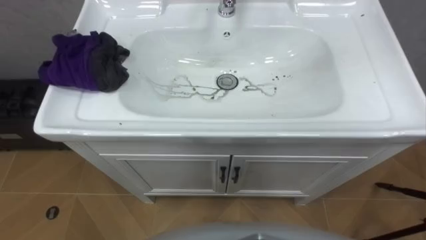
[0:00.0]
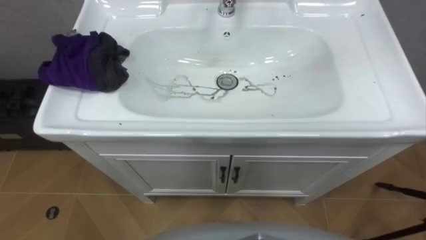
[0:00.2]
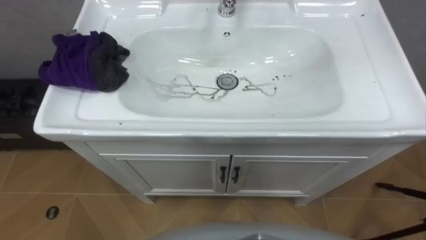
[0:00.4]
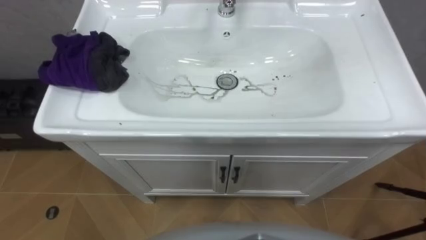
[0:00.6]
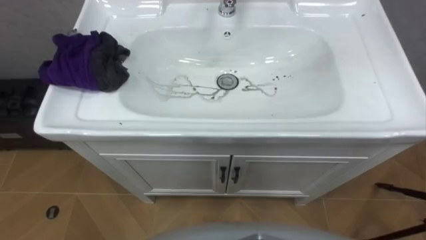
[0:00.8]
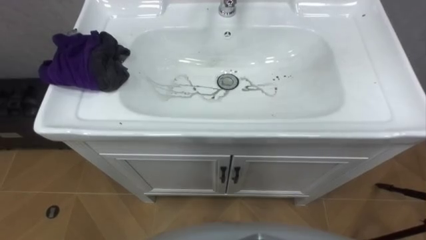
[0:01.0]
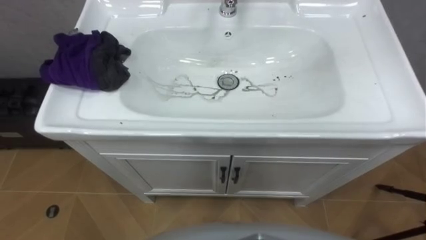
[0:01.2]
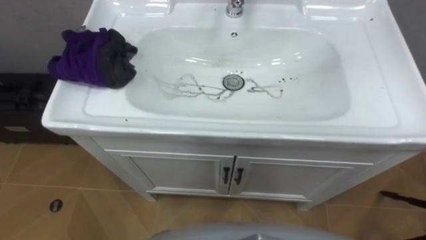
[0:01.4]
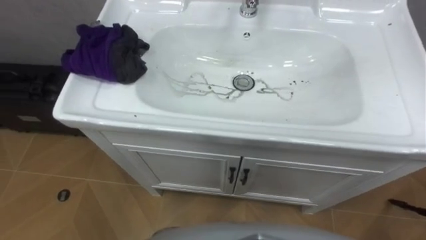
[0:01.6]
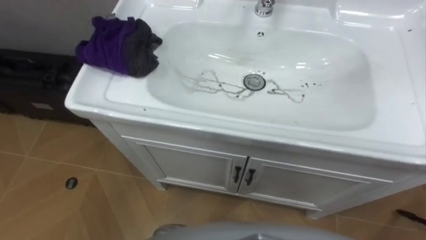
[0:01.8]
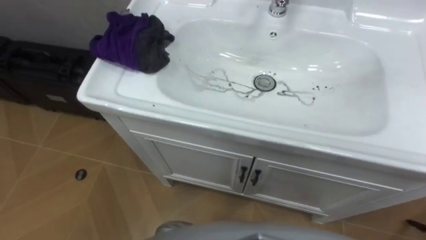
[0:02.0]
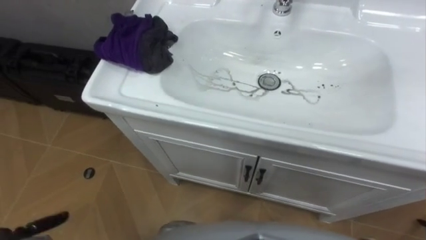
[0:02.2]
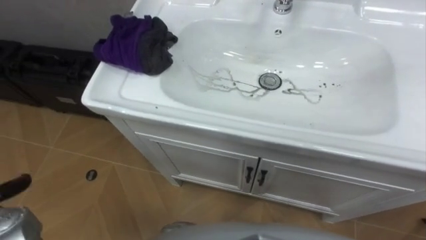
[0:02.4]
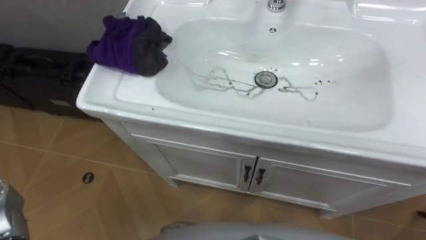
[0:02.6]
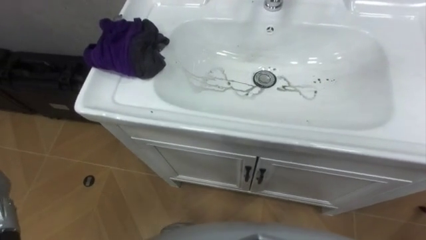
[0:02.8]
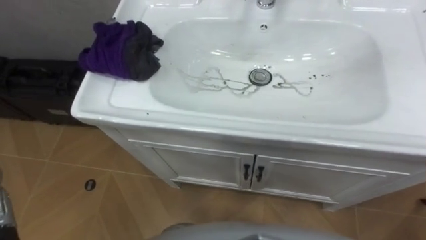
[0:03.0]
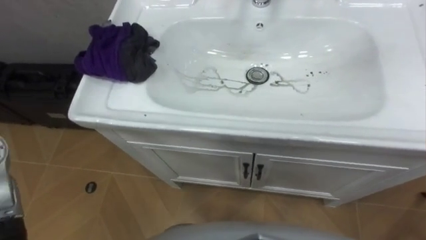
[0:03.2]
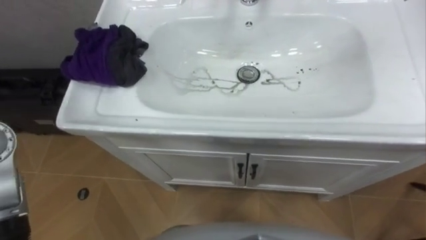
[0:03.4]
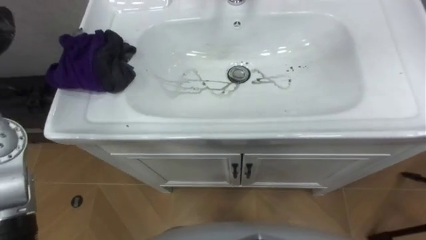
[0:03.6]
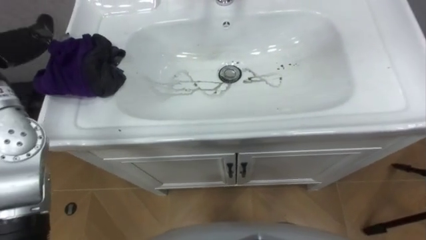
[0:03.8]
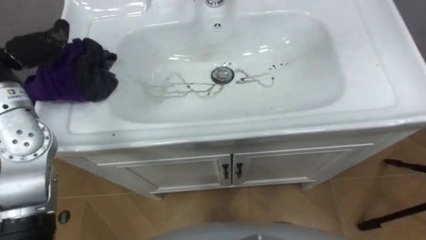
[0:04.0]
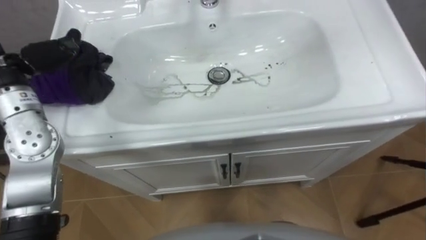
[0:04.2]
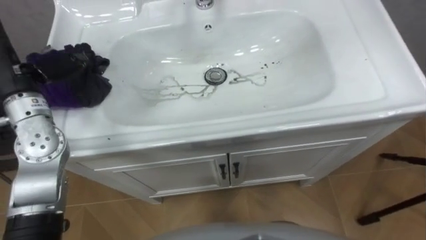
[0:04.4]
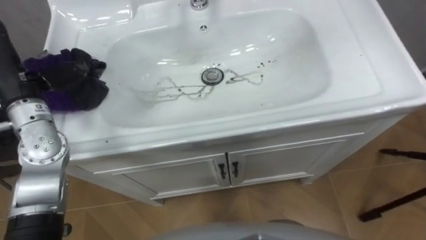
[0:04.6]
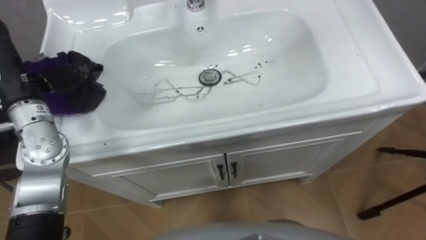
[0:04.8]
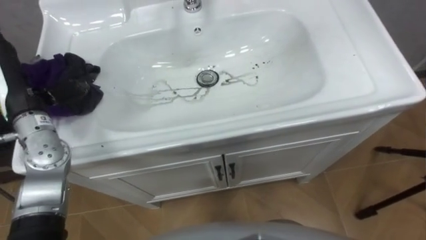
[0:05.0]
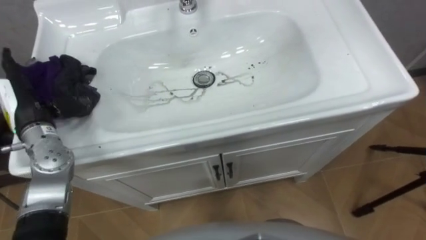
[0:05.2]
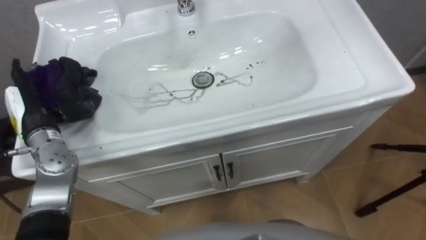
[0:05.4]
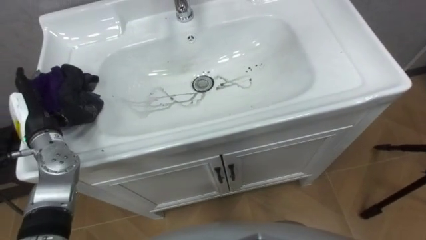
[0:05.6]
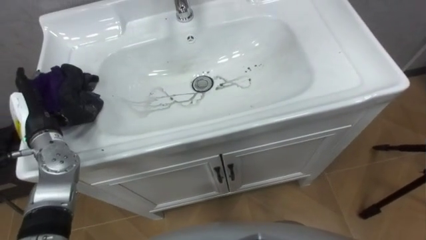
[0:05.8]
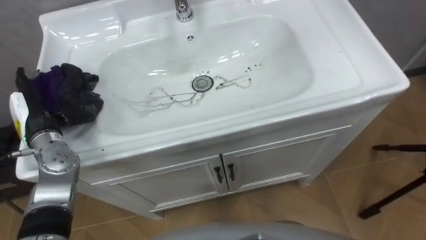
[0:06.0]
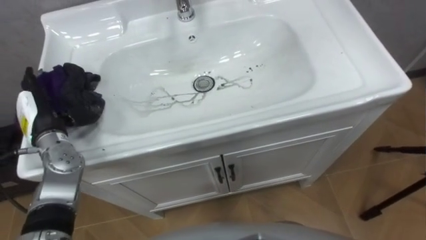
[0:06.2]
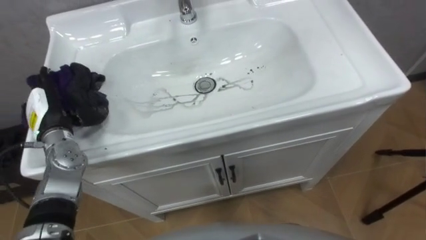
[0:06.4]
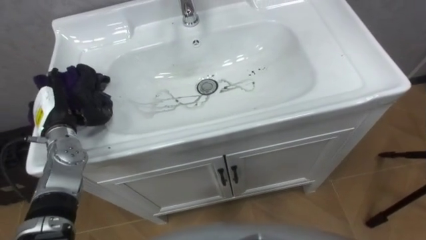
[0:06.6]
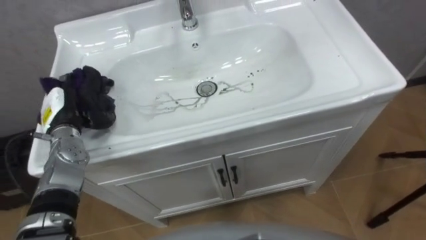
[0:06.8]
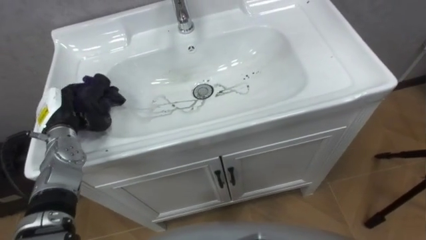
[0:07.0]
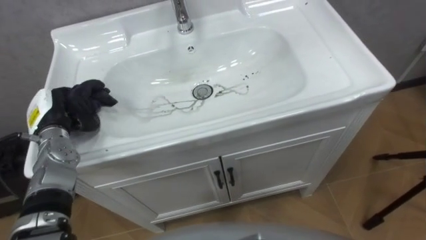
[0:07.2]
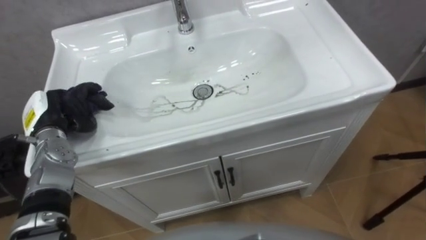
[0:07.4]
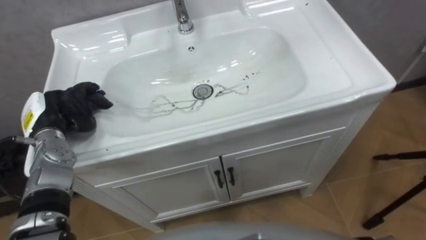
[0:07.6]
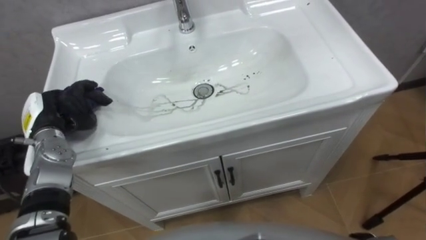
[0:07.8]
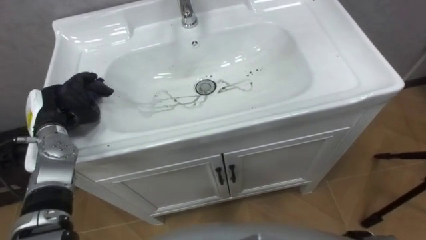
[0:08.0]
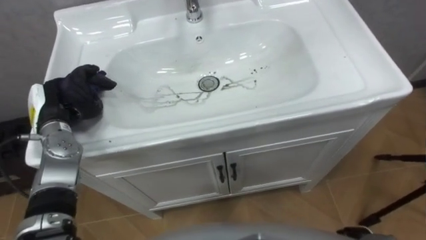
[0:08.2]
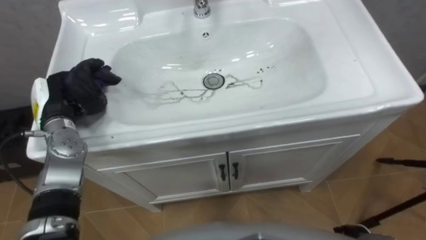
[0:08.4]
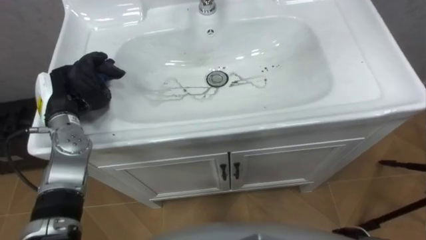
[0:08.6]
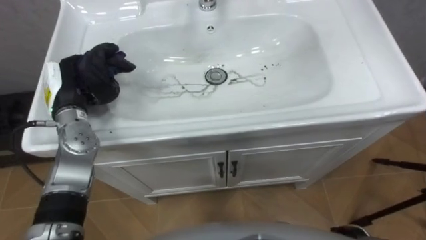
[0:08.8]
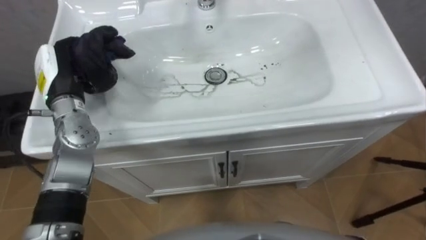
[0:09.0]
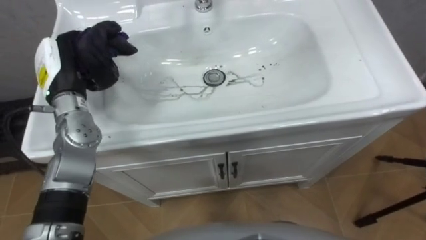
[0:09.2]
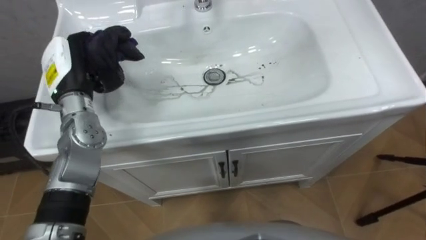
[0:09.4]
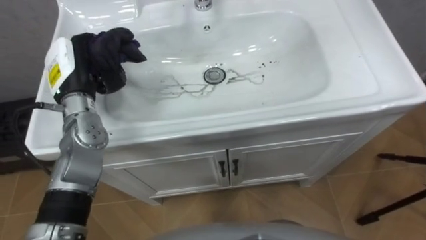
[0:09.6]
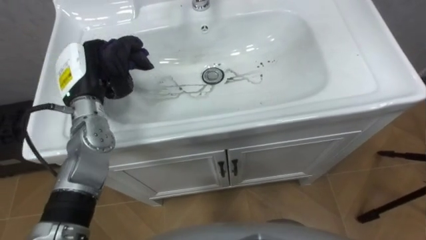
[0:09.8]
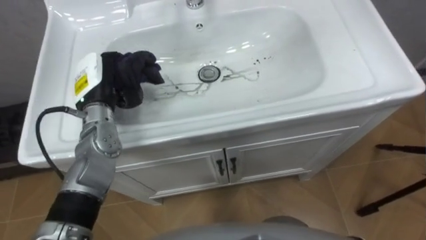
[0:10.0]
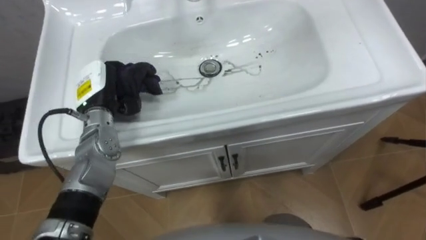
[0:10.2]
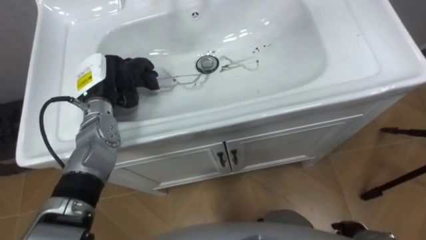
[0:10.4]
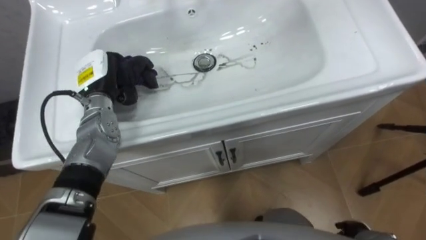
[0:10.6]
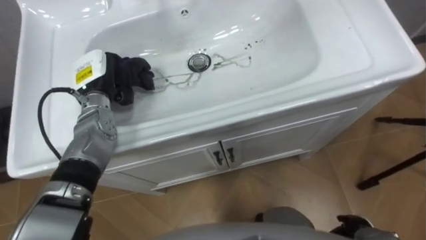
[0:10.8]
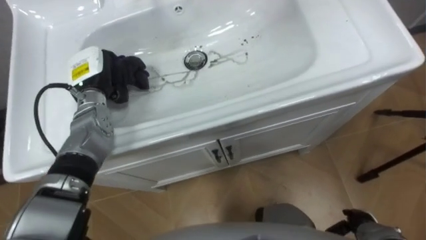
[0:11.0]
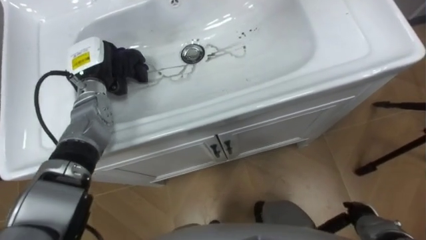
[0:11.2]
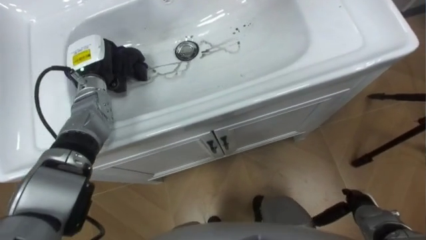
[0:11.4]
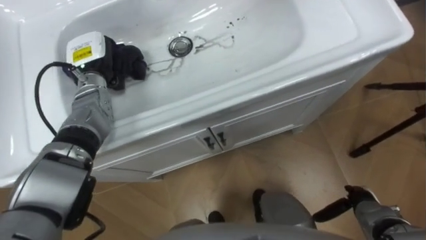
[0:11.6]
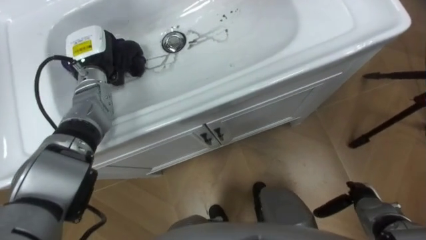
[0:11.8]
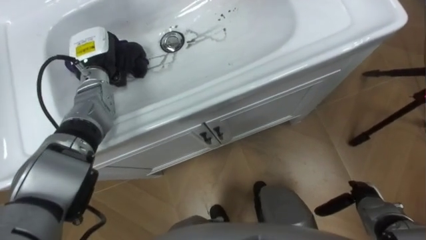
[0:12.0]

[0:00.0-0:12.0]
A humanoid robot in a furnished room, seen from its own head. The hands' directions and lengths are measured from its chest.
Task of the whole recording: Use the cloth on the right to wipe away the black stain in the sink.
0:04.4 to 0:06.0: The left hand shifts roughly 15 cm downward.
0:06.0 to 0:07.6: The left hand closes up.
0:07.6 to 0:09.0: The left hand moves upward and to the right, approximately 10 cm.
0:09.0 to 0:10.4: The left hand shifts by approximately 5 cm.
0:10.4 to 0:12.0: The left hand moves forward, some 5 cm.

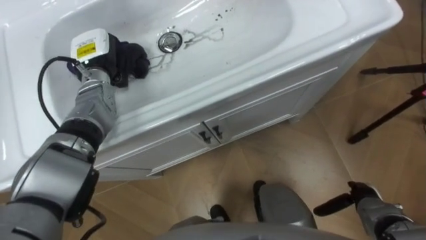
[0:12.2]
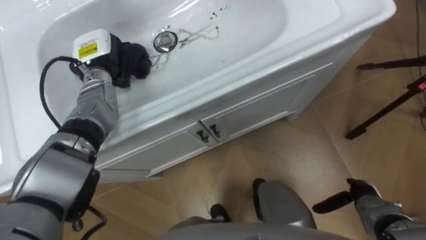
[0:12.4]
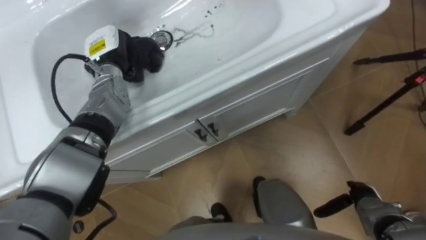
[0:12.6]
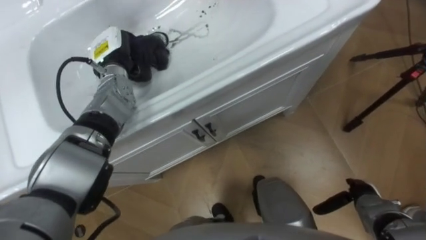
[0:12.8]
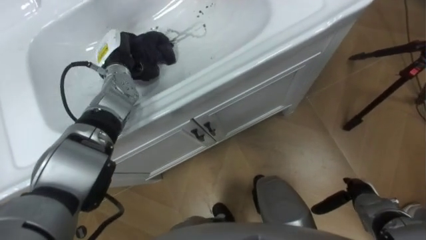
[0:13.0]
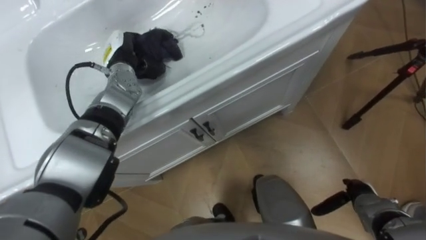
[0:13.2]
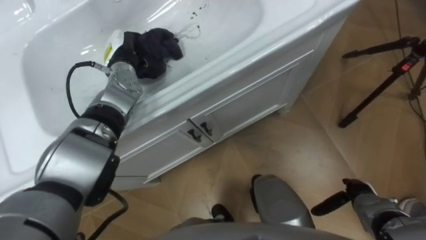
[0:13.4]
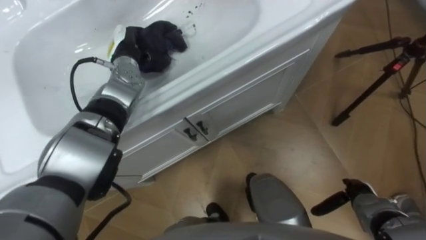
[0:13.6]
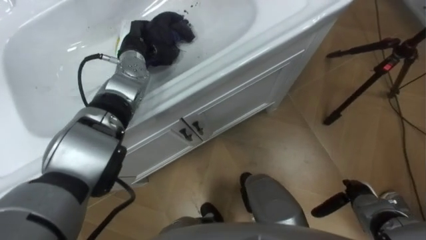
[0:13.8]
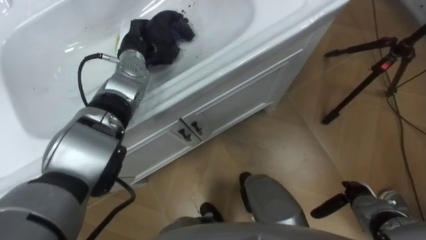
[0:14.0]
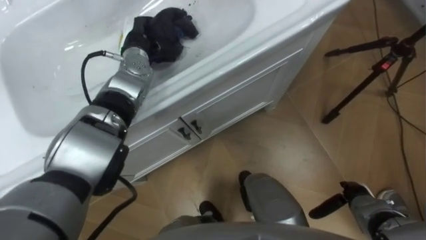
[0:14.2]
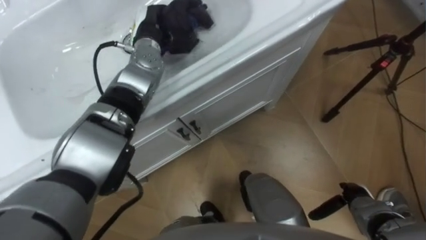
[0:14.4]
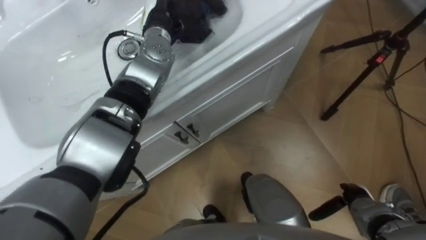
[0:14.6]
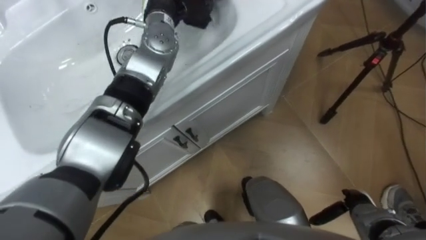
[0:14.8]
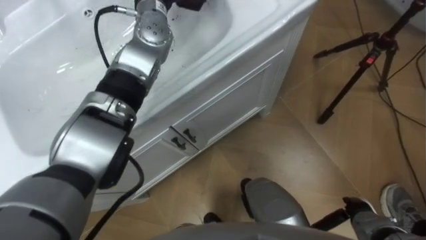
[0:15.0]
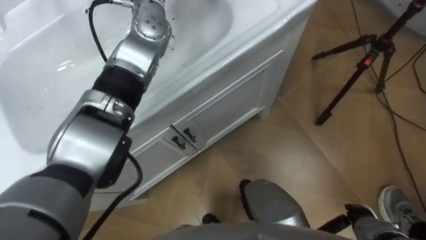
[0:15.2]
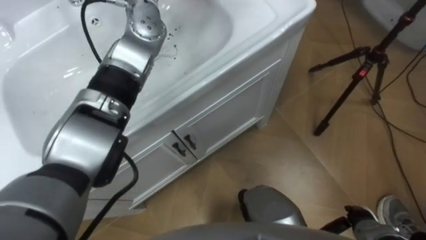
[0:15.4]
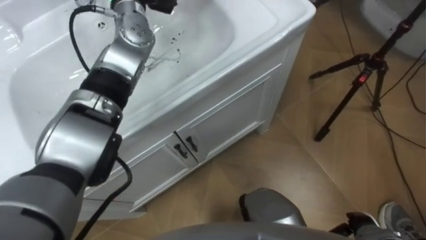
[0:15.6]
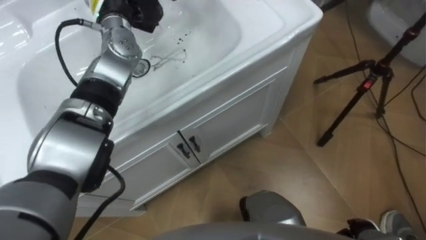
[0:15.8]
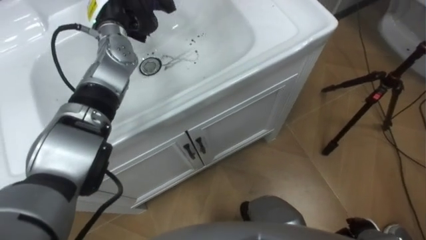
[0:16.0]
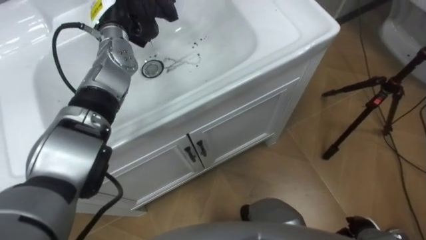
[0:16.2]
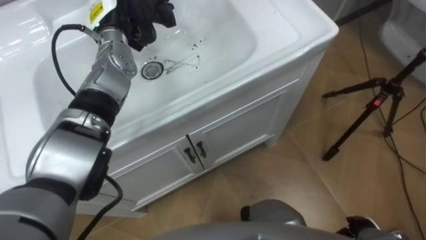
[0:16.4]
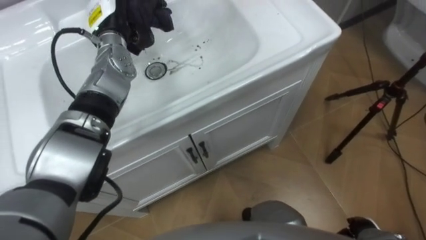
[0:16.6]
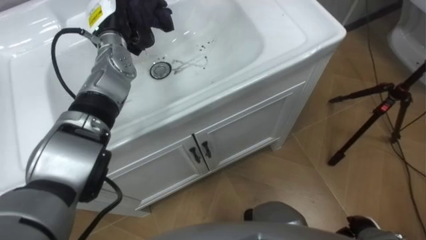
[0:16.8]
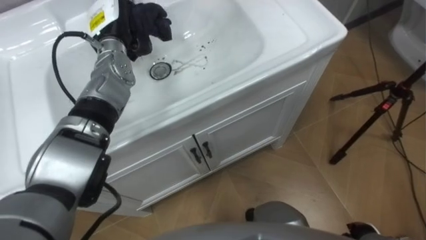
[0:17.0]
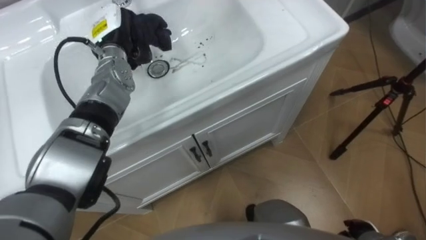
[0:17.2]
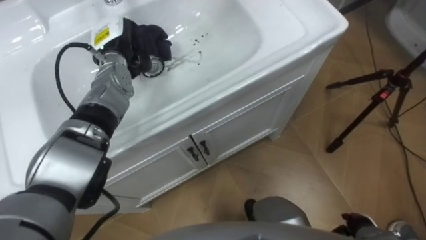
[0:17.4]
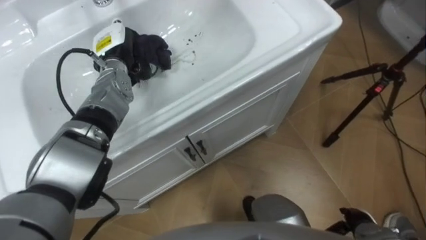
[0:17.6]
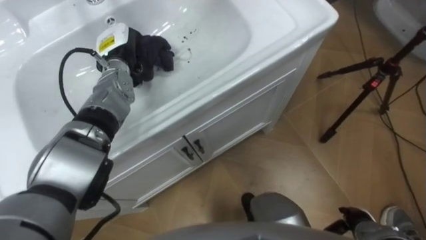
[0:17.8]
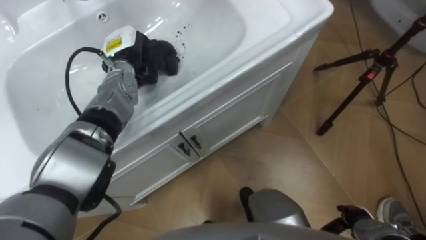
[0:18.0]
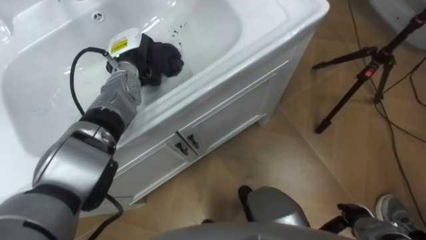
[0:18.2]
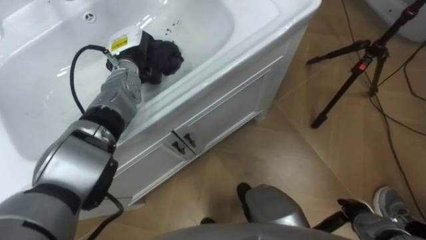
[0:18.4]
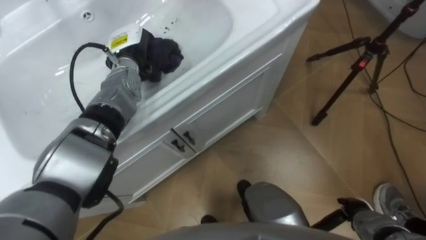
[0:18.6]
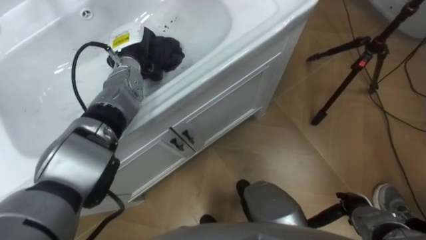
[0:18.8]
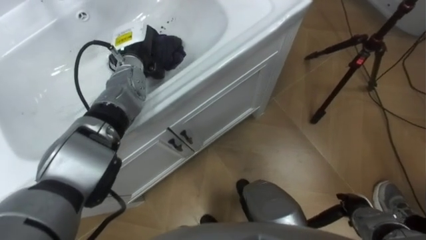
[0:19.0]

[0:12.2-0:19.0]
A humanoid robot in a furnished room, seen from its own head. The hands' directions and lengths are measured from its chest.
Task of the whole recording: Use the cloth on the right to wipe away the black stain in the sink.
0:12.2 to 0:13.6: The left hand moves to the right, roughly 5 cm.
0:16.2 to 0:17.6: The left hand goes about 5 cm downward.
